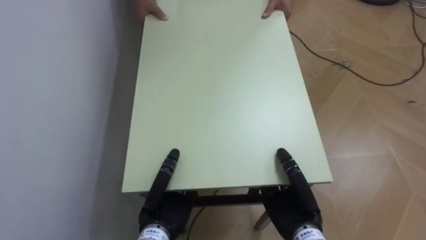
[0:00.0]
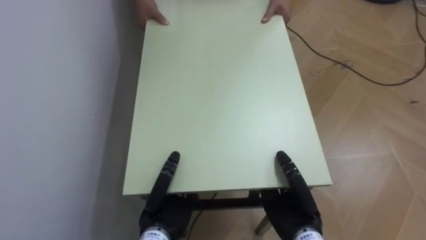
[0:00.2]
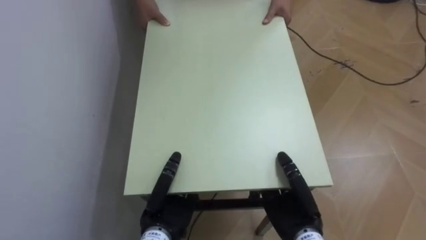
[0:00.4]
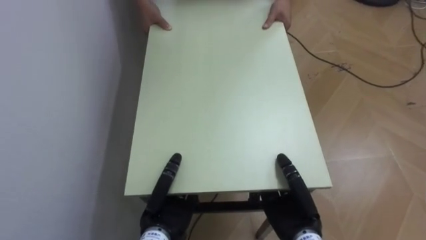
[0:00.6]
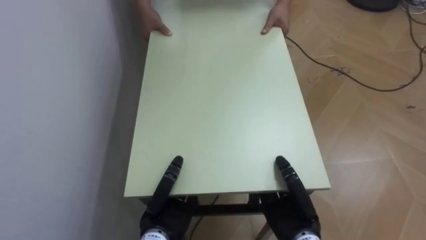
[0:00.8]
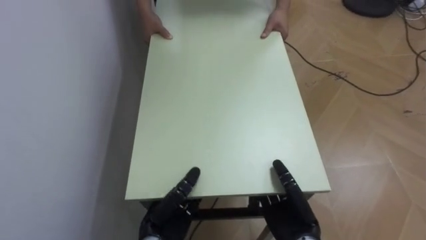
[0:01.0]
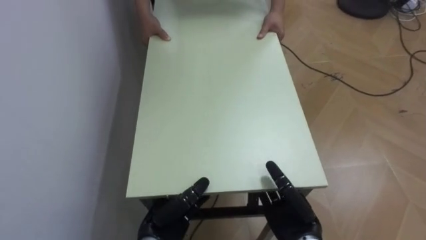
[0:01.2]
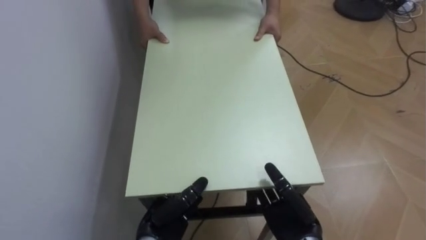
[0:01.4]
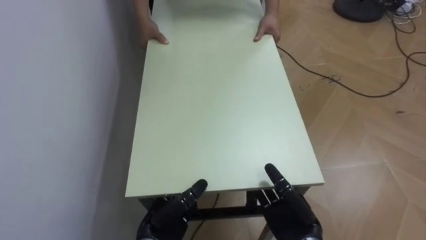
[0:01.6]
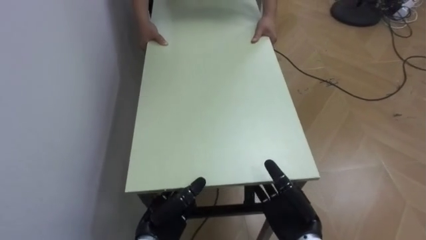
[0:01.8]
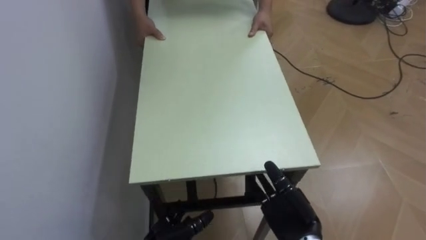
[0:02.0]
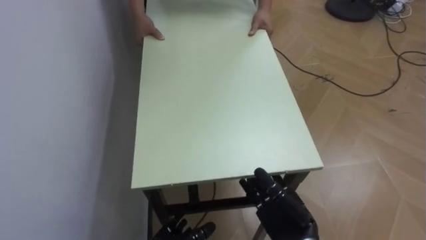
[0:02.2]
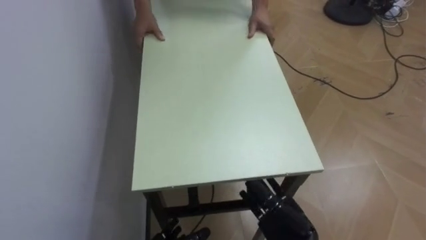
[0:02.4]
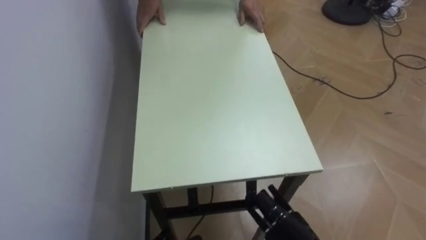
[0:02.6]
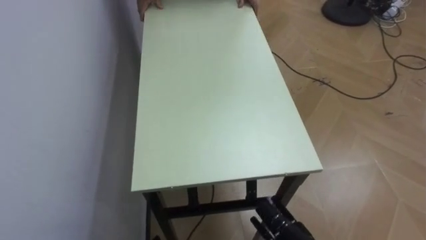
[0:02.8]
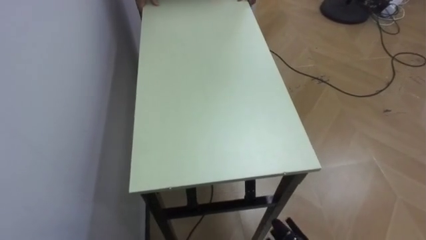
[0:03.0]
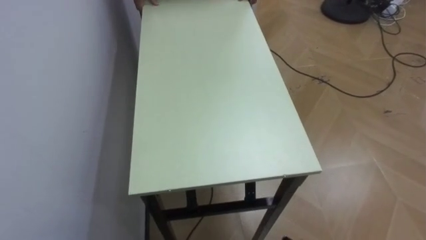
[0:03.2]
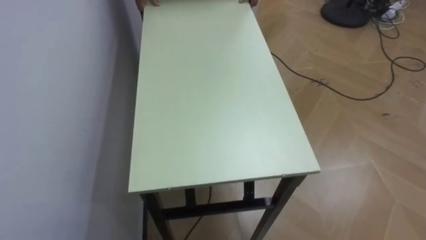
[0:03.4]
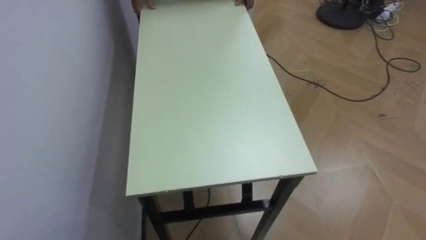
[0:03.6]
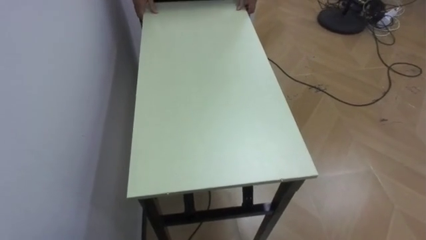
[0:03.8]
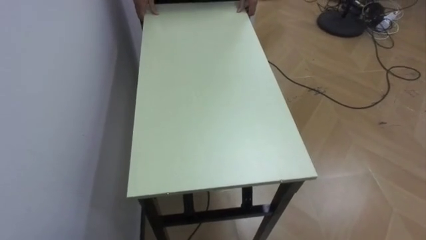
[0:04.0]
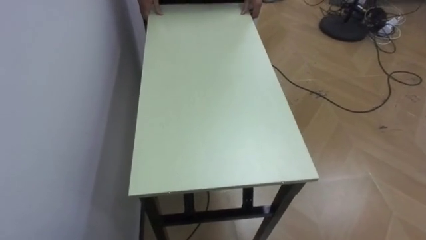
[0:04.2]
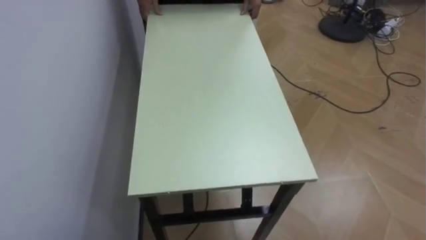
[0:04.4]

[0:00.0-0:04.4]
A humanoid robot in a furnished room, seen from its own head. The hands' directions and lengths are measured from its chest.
Task of the whole recording: Move the table to the back left with someone.
0:00.0 to 0:01.4: The left hand opens, while the right hand opens up.

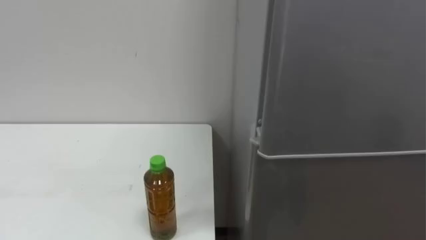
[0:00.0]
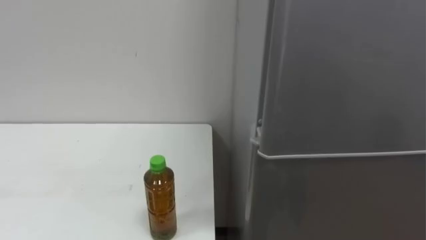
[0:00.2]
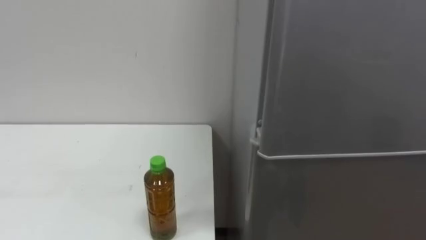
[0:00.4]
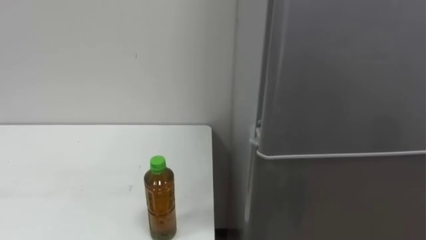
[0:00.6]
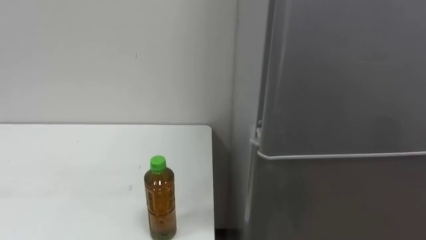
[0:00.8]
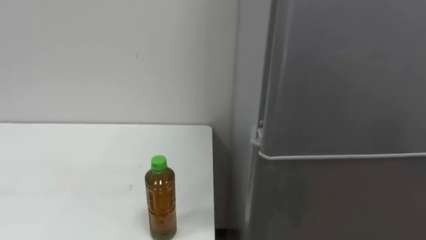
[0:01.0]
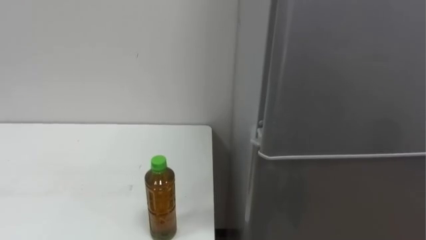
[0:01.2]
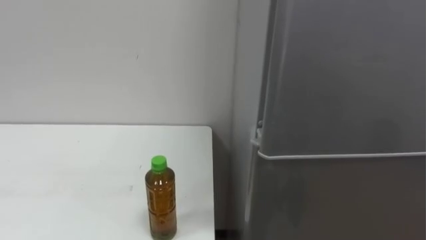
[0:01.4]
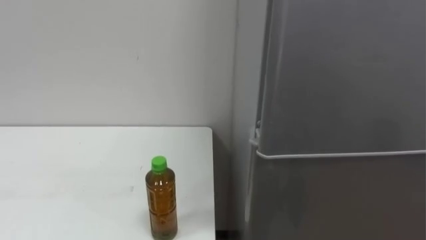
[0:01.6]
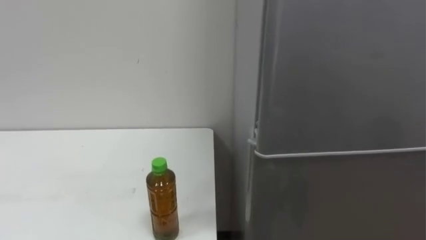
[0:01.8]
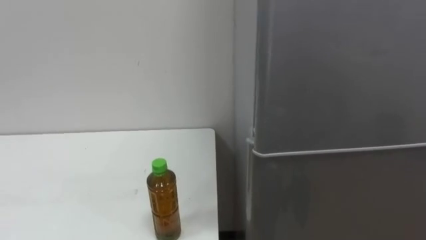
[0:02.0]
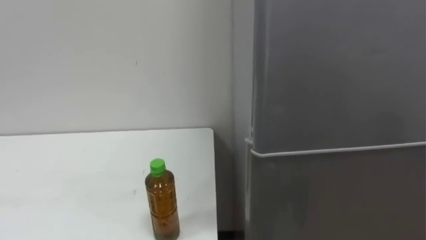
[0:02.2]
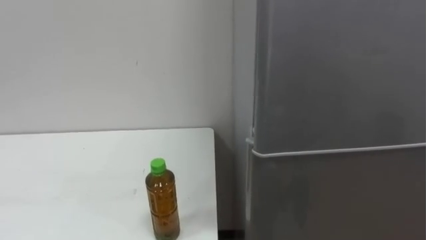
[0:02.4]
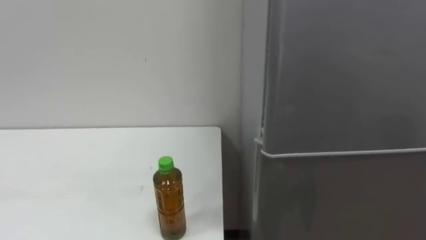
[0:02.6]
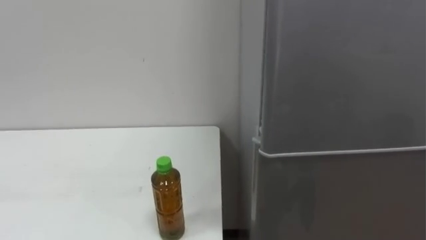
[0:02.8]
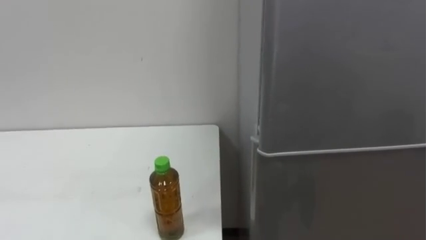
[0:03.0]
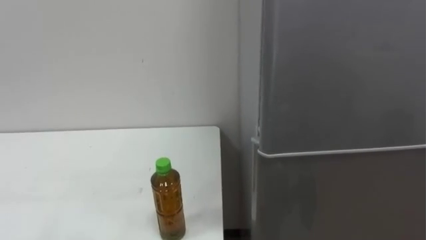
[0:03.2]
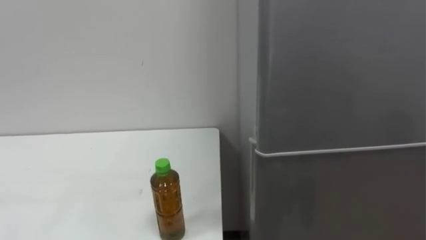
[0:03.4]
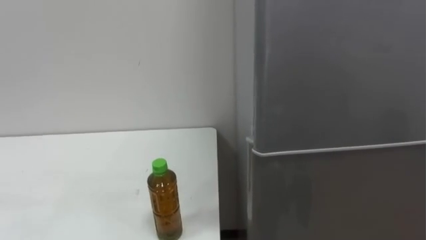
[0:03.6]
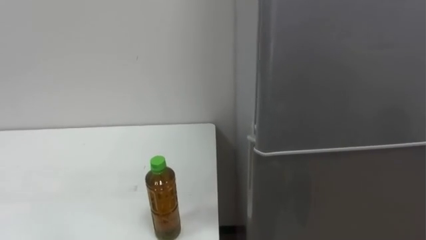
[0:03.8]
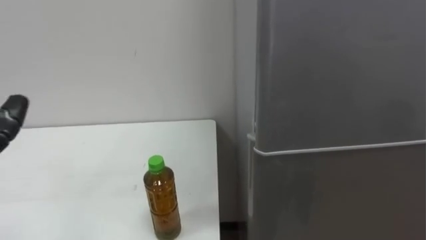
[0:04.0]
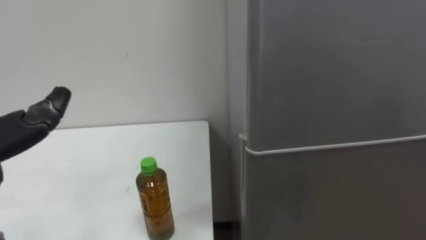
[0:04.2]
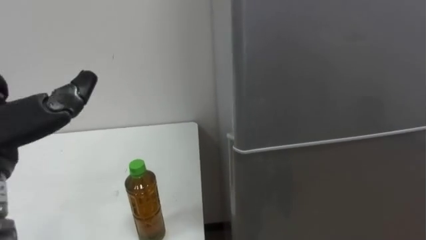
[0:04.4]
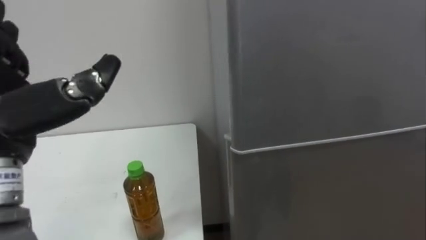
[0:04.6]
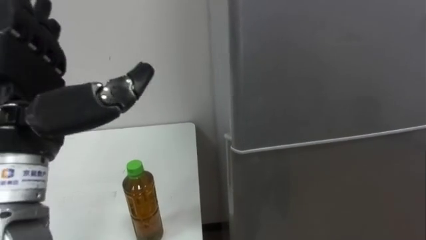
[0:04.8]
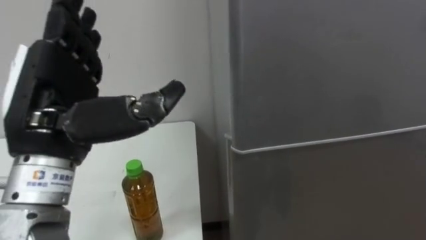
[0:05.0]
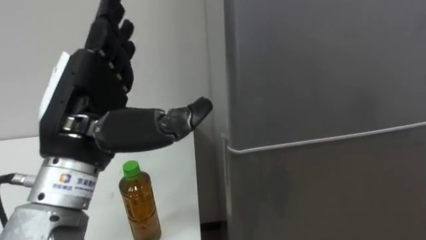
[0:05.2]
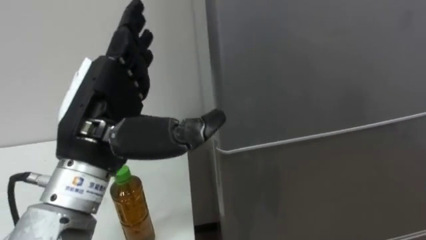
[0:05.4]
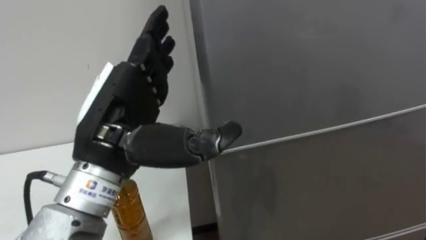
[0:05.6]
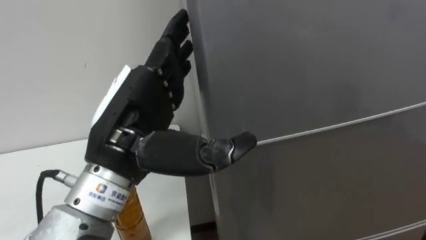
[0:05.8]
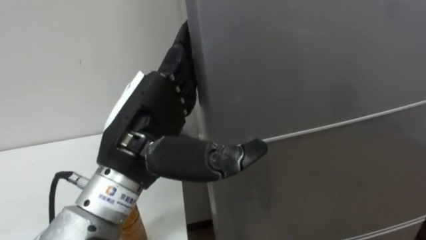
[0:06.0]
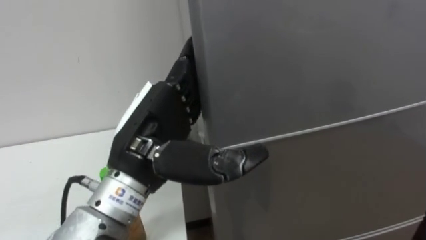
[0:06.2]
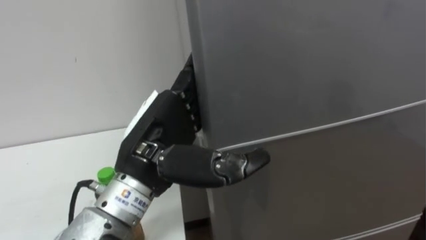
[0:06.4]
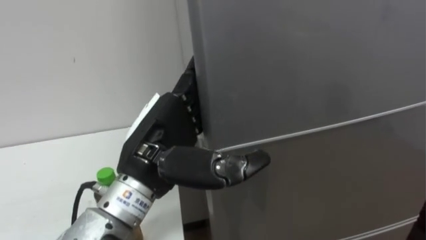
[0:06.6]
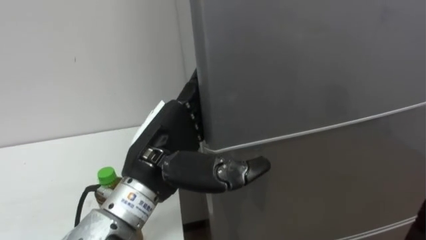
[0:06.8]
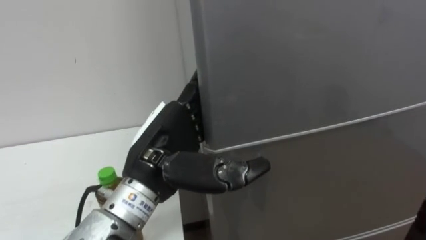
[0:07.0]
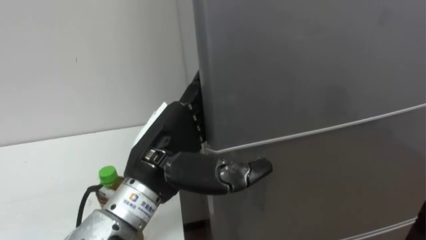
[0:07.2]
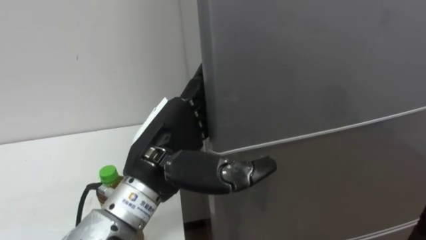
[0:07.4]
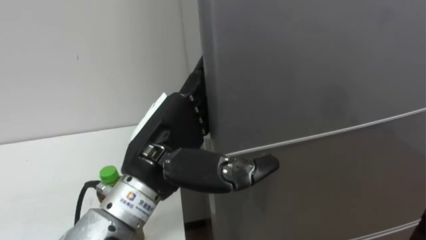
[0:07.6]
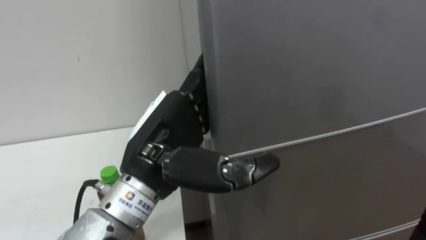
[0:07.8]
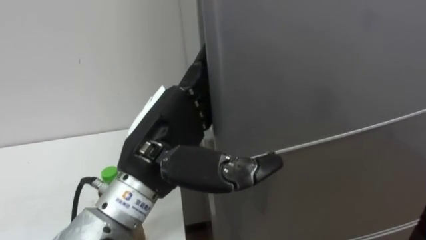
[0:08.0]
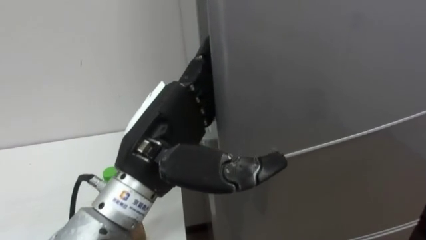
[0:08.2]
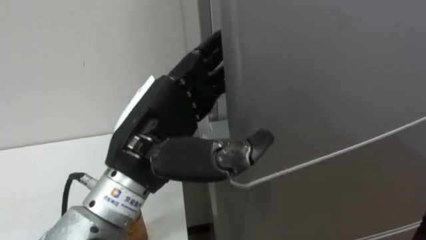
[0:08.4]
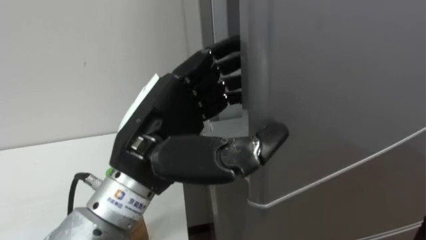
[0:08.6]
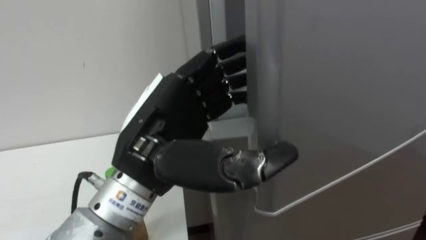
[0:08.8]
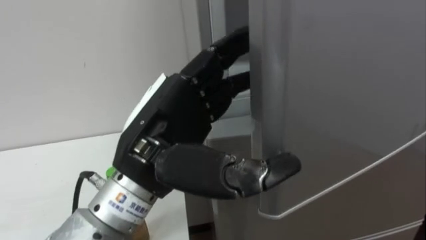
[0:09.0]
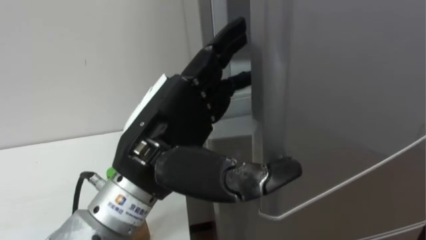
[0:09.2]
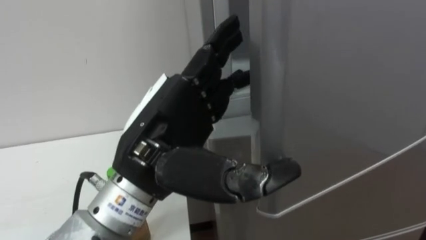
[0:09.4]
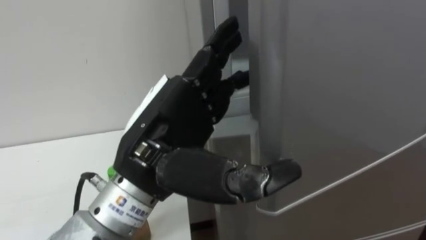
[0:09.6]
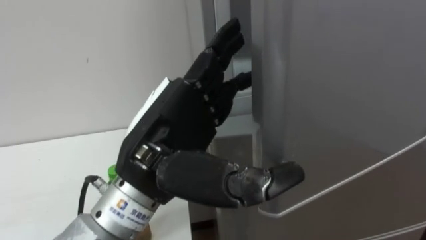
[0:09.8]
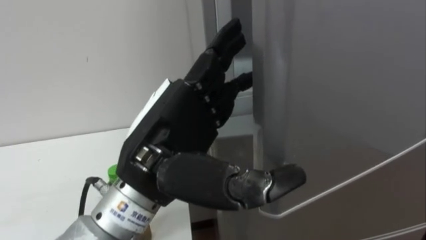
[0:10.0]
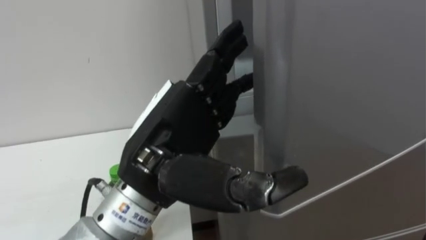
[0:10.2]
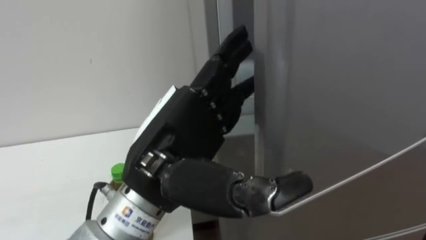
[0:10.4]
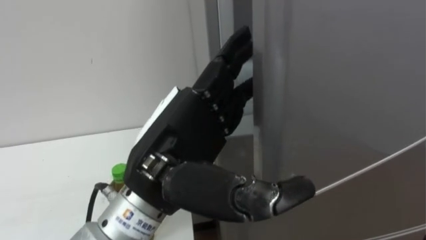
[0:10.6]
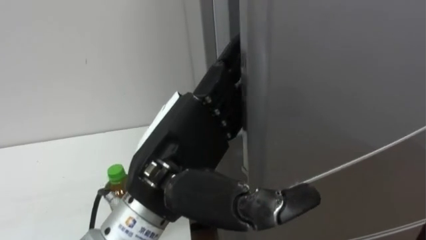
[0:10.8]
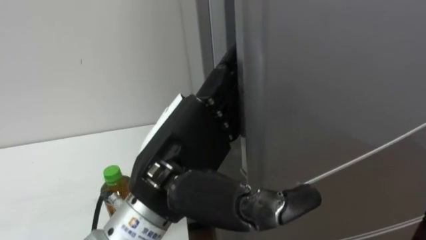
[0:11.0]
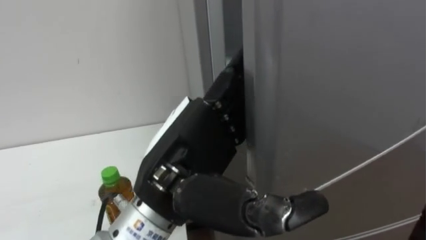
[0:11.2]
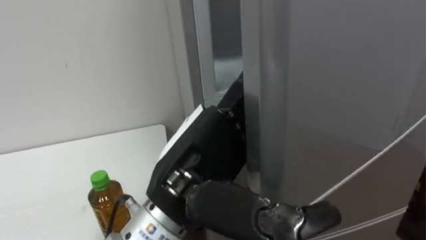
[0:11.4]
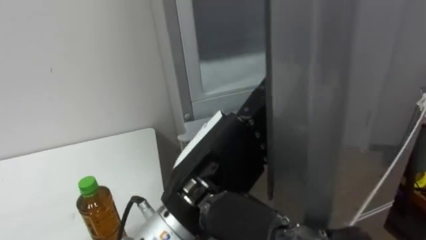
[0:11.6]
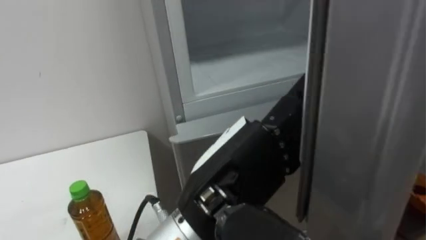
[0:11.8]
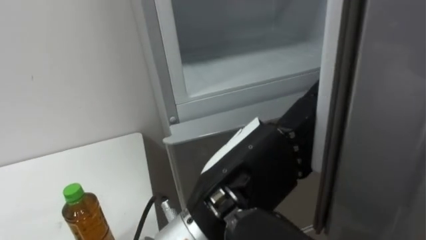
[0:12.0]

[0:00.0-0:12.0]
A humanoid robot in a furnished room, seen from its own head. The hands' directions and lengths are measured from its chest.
Task of the whole recording: Open the upper refrigerator door, put the drink from the table into the refrigerator, and then close the refrigerator door.
0:10.4 to 0:12.0: The left hand moves to the right, some 5 cm.
